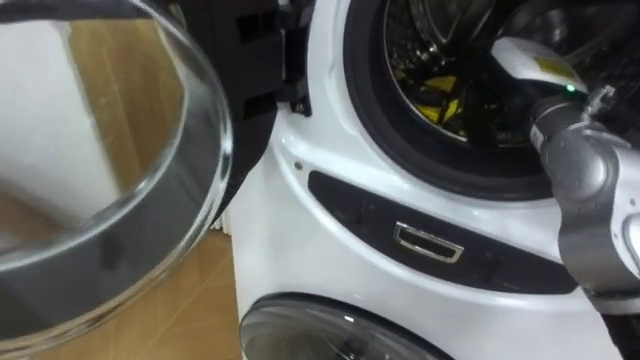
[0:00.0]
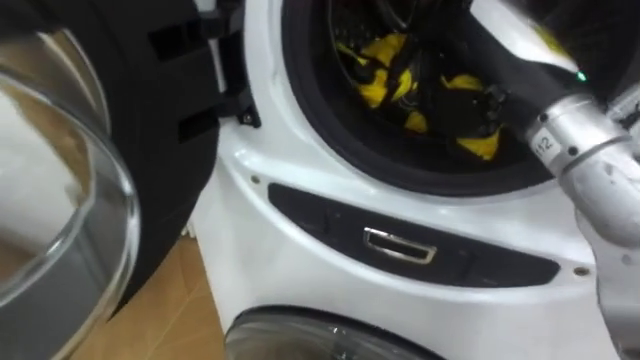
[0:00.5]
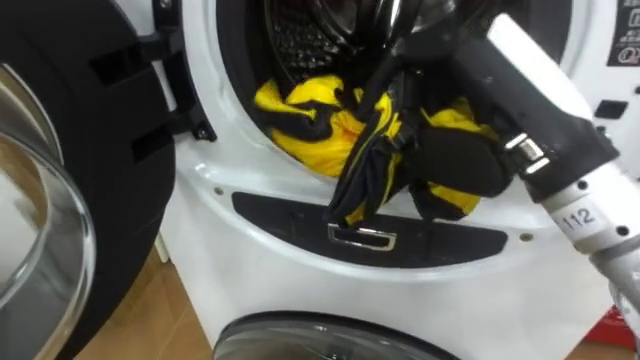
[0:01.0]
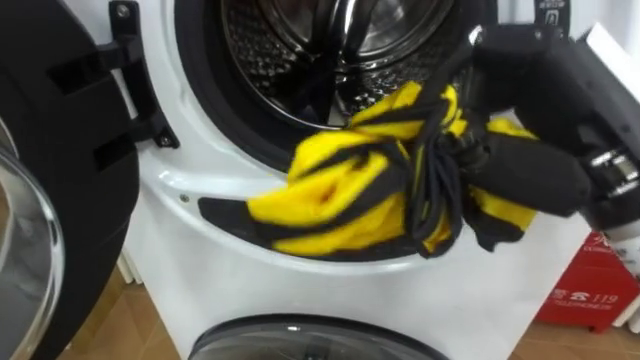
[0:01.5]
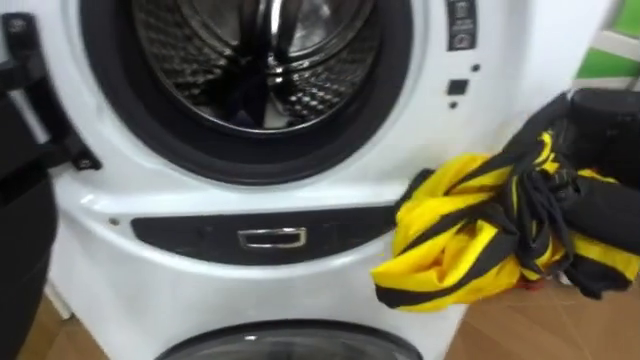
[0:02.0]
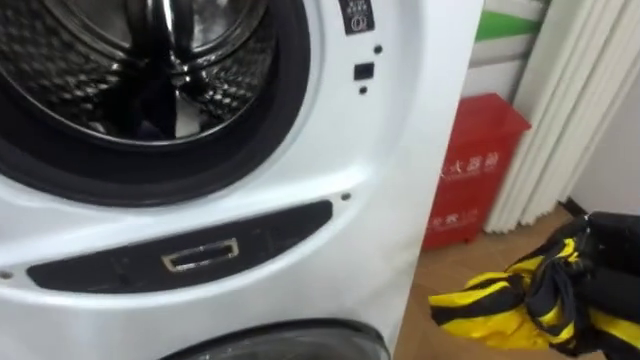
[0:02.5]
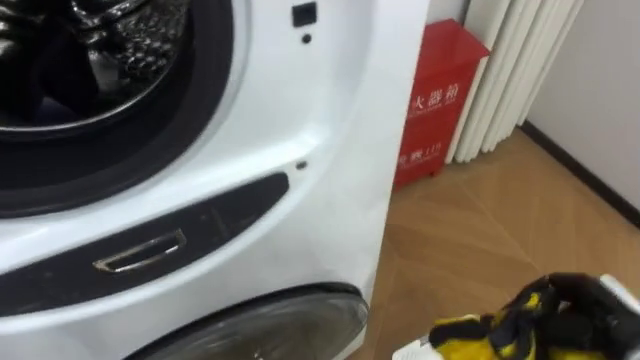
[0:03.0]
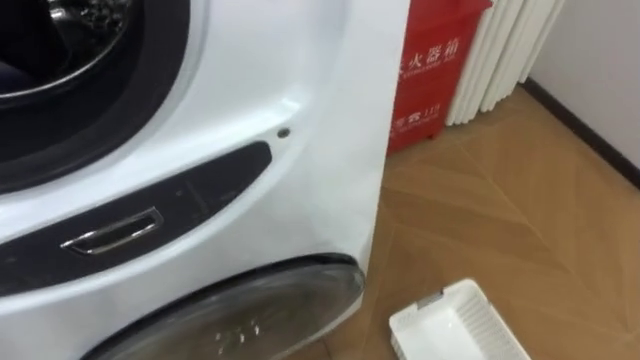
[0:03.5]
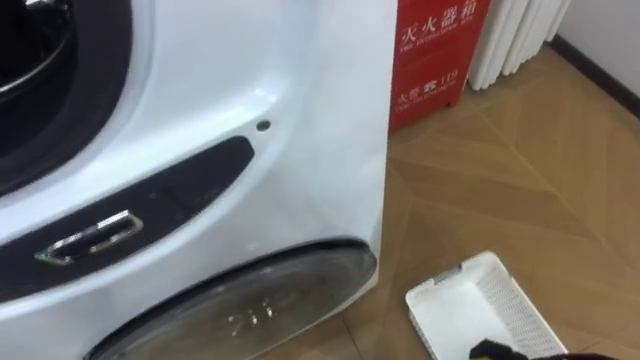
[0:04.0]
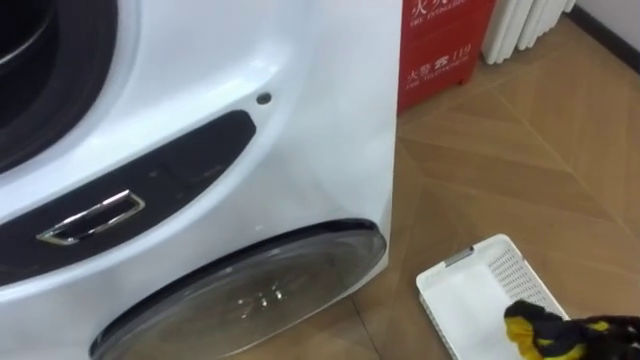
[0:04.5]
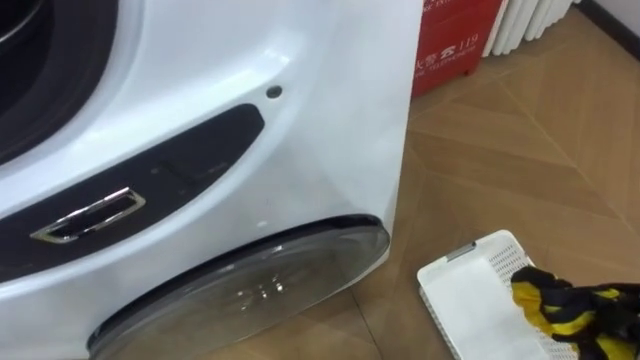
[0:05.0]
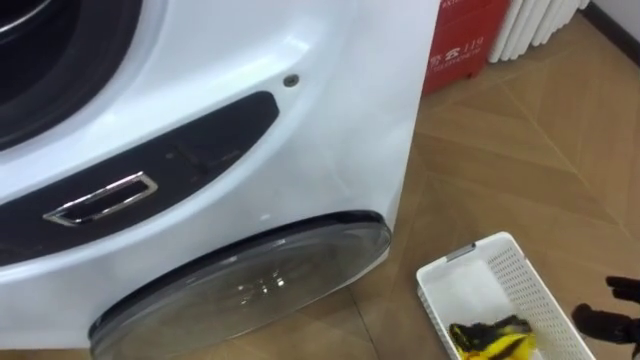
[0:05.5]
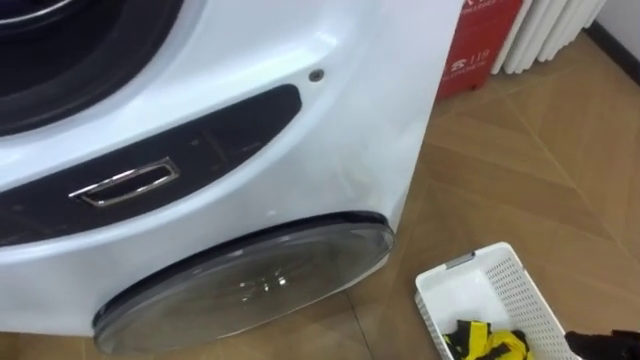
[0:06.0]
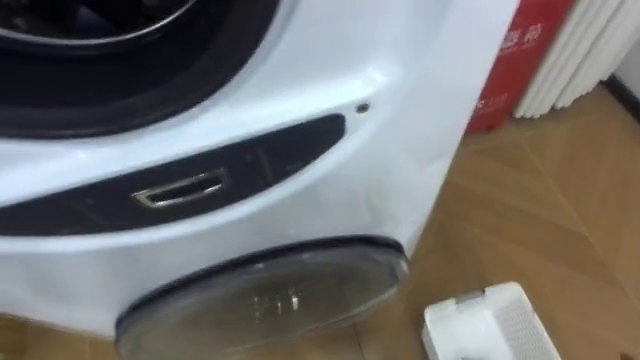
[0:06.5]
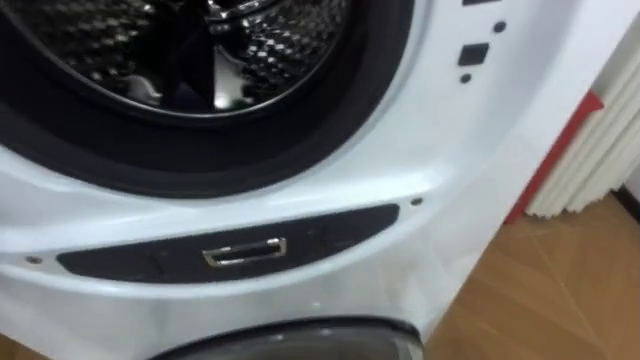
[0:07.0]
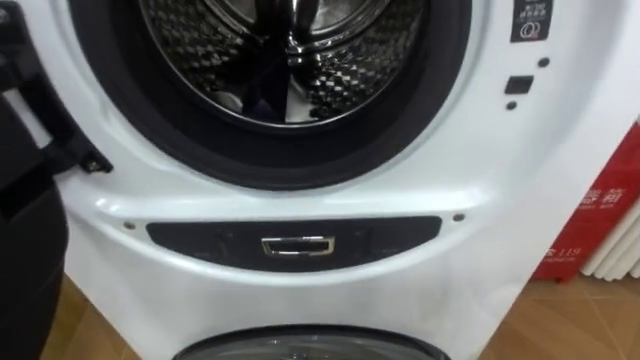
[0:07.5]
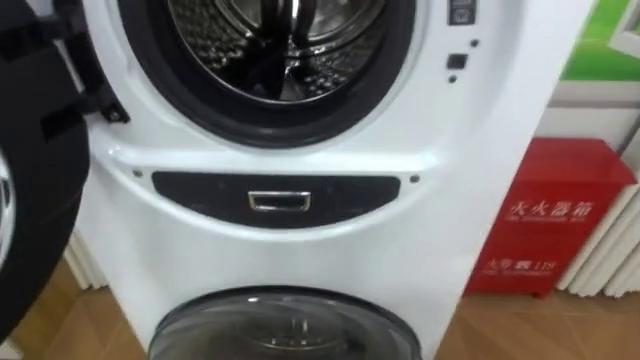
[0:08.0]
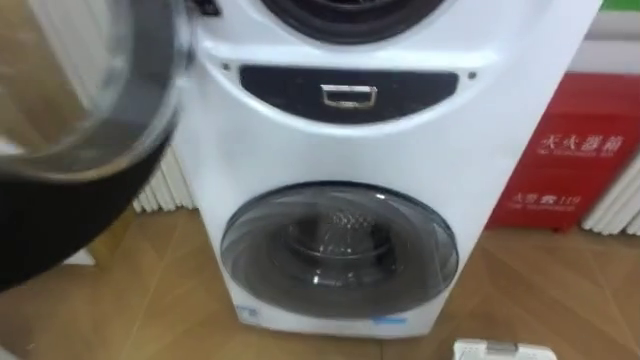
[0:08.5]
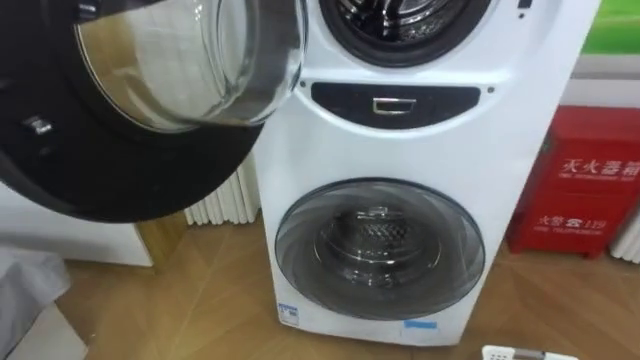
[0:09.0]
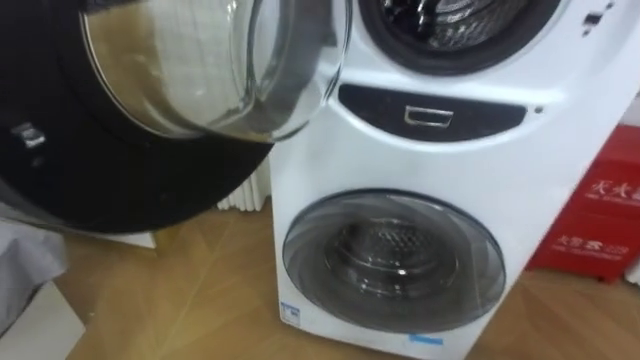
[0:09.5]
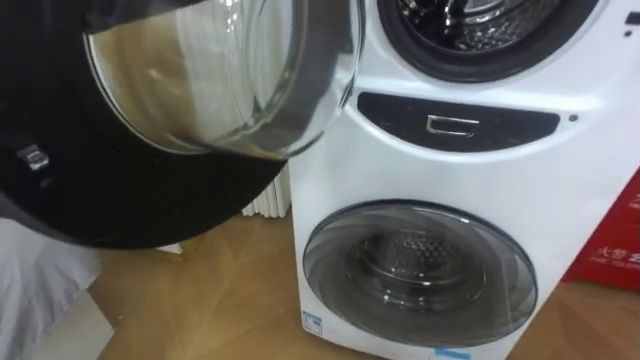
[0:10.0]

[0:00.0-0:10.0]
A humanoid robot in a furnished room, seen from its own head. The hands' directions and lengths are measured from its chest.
Task of the whole recording: Open the washing machine door, take out the yellow clothes, place them in the box on the right, and close the washing machine door.
0:02.0 to 0:04.0: The robot rotates some 20 degrees to its right.

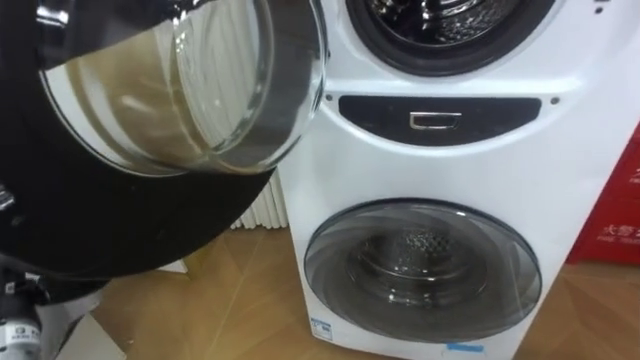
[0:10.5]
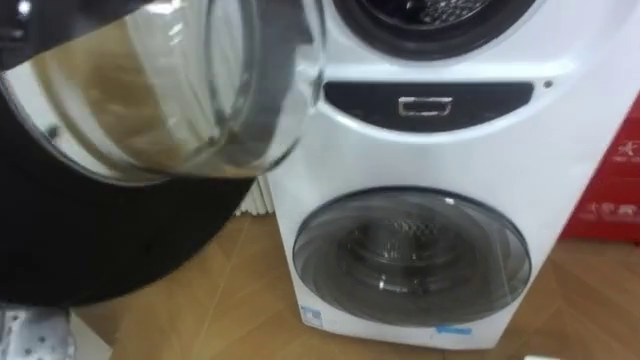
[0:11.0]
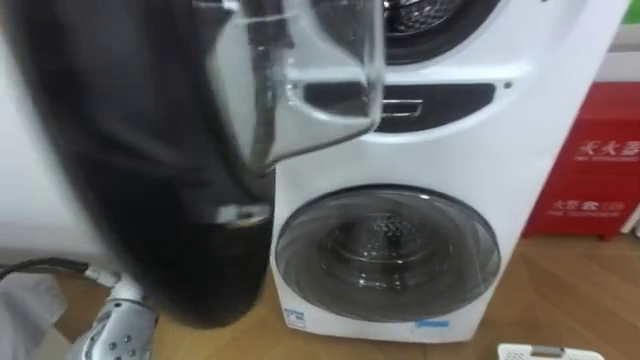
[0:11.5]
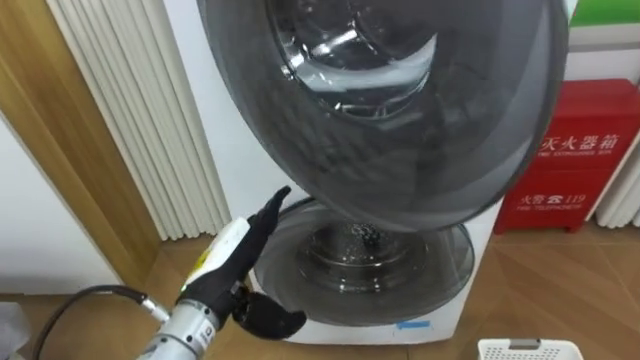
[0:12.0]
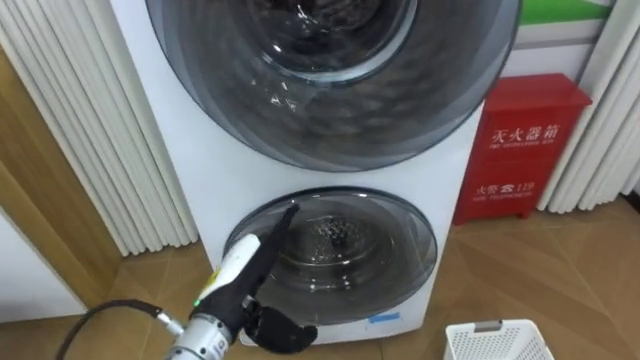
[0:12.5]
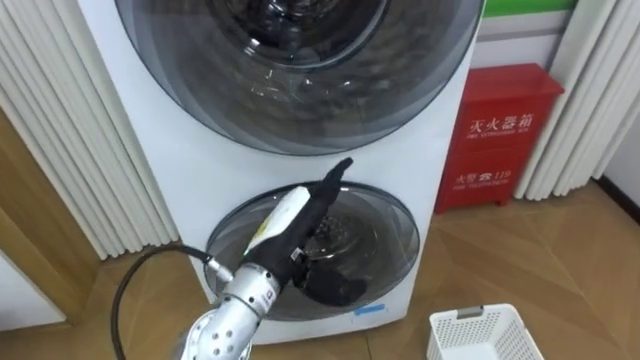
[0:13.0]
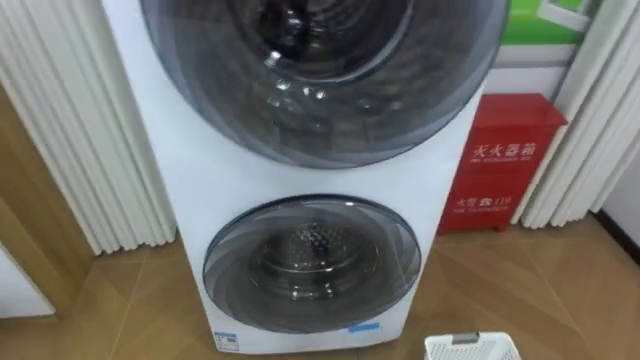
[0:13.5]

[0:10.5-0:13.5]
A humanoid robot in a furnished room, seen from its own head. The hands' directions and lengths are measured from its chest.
Task of the whole recording: Open the washing machine door, take out the yellow clothes, place them in the box on the right, and close the washing machine door.
0:10.5 to 0:12.0: The left hand travels to the right by some 25 cm.

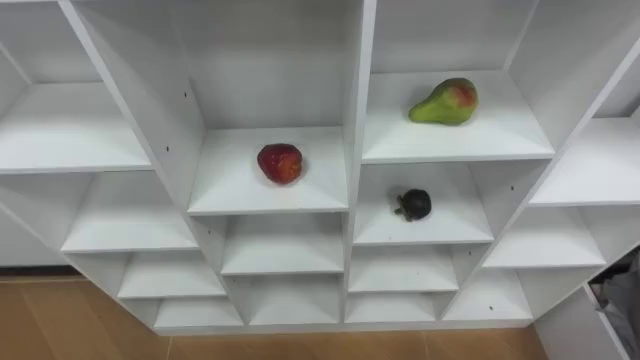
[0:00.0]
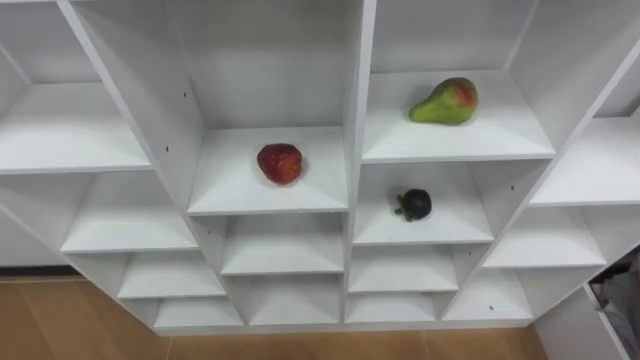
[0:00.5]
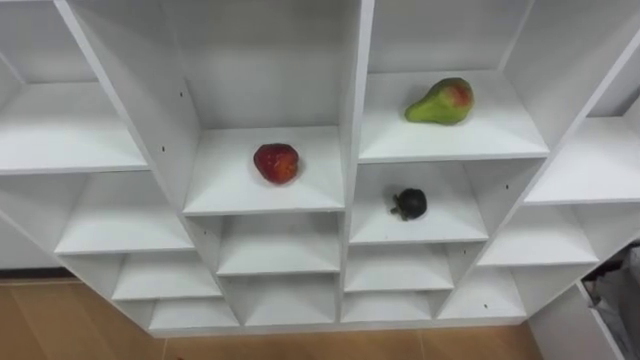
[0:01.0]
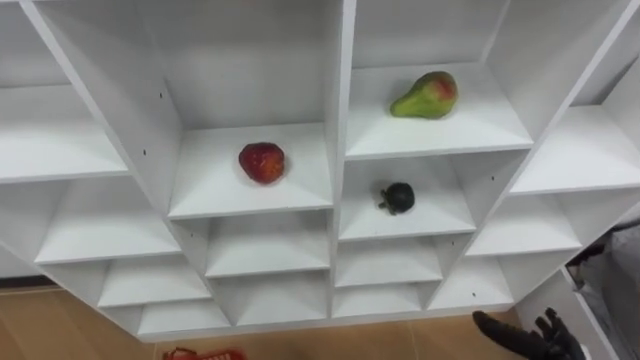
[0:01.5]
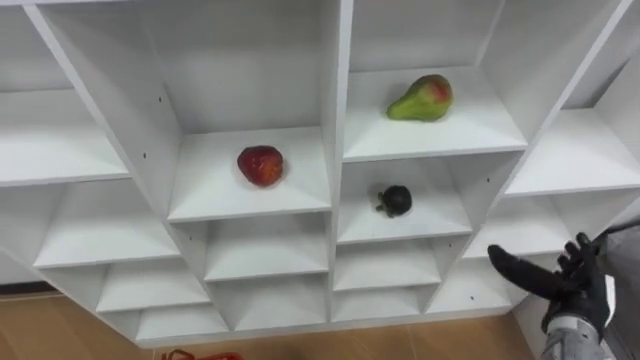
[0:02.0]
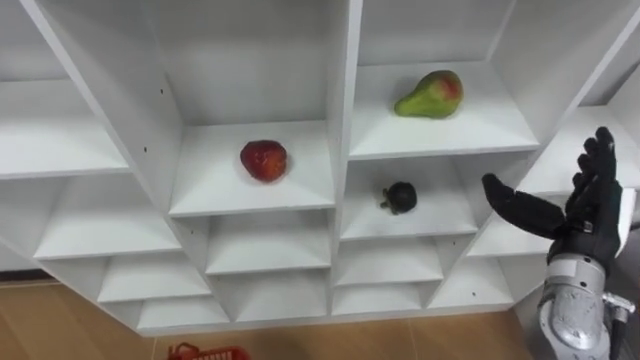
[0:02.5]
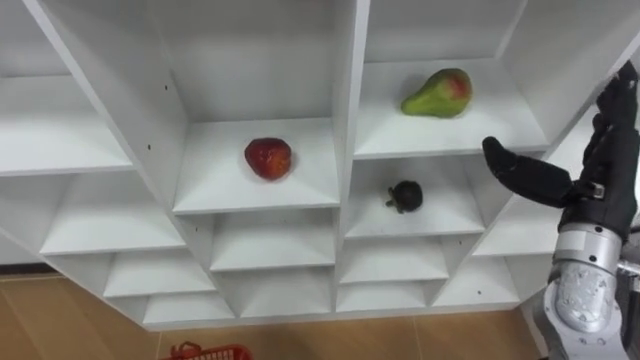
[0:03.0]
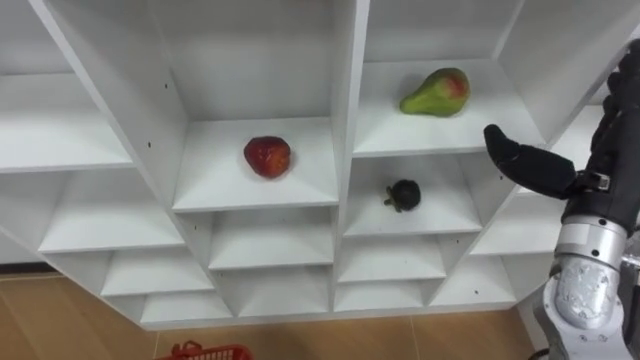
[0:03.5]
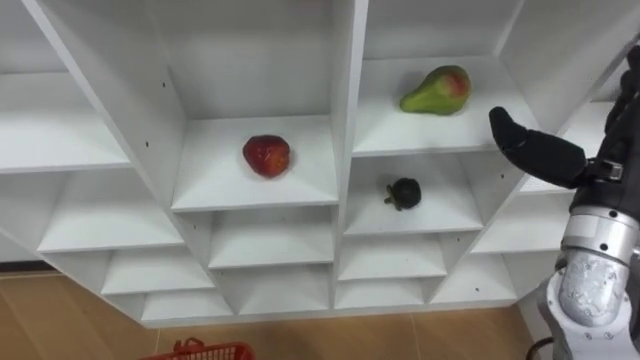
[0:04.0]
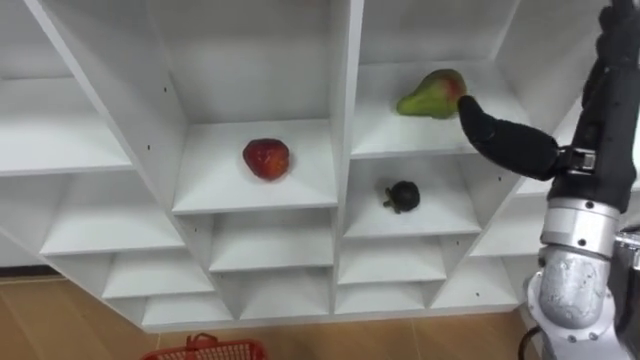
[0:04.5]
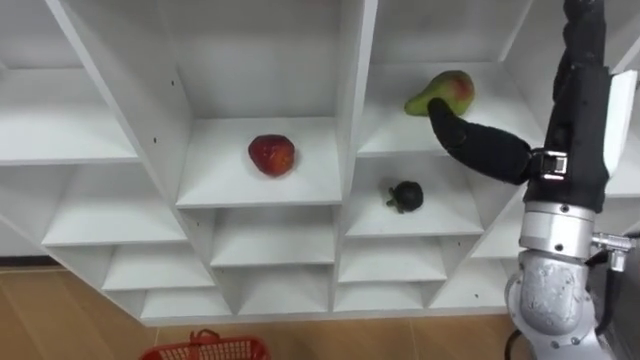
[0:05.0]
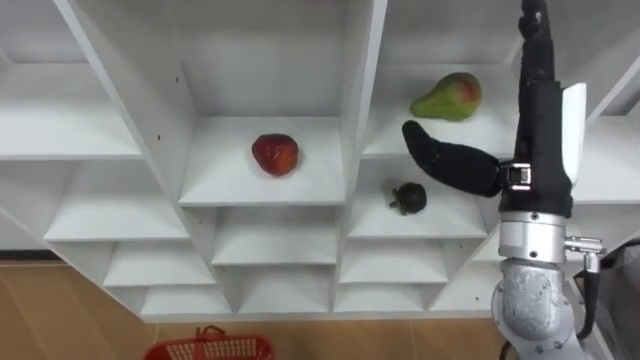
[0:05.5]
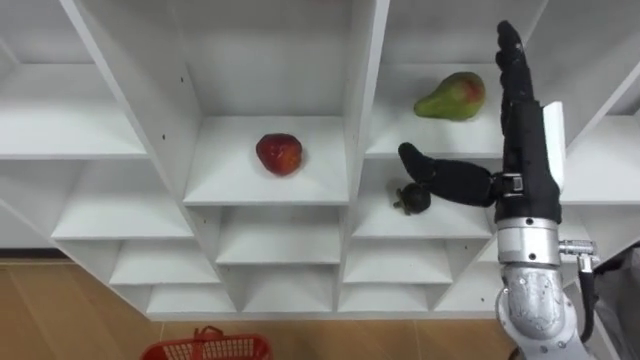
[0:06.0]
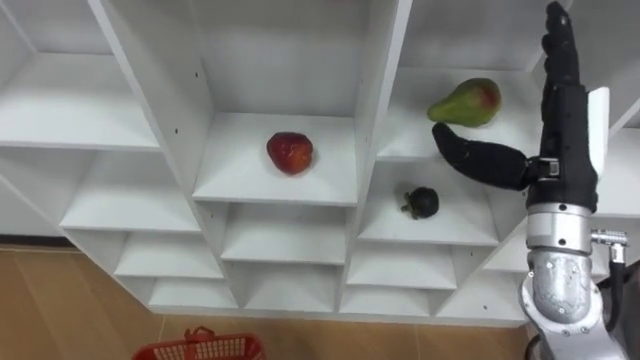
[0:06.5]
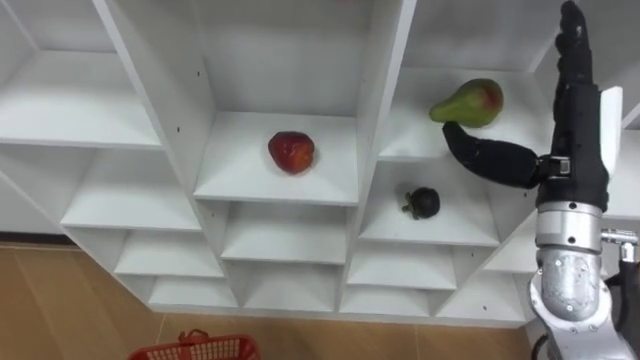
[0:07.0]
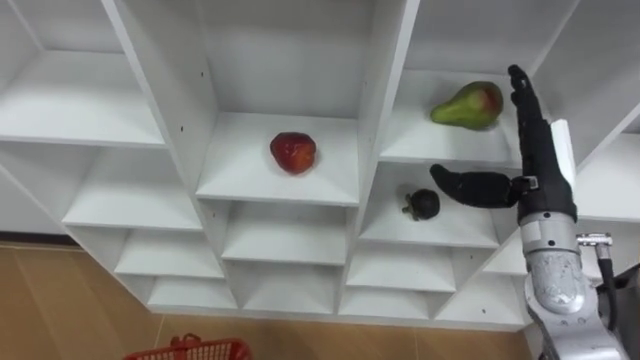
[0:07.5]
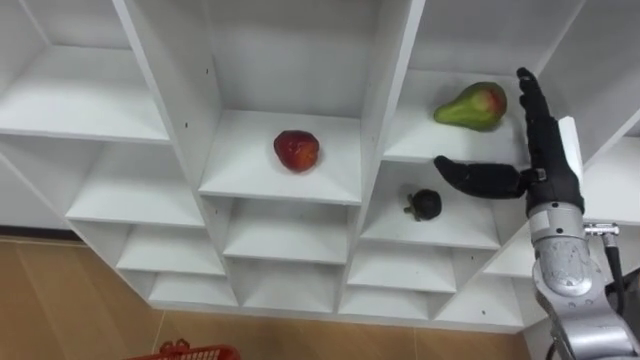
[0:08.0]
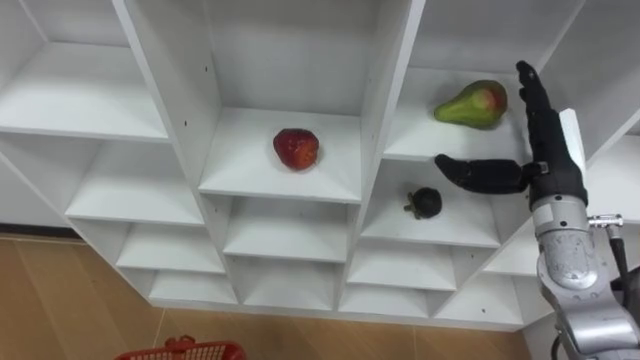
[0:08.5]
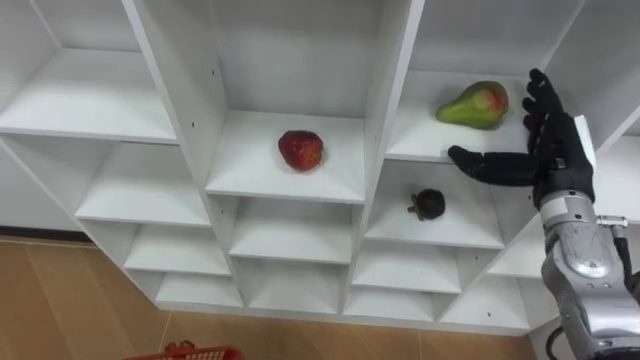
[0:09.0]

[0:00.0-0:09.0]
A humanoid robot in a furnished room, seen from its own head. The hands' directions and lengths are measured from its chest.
Task of the whole recording: Hold the basket and collect the fruits from 3 different cells of the closet into it.
0:02.0 to 0:04.5: The right hand is displaced upward by approximately 25 cm.
0:07.0 to 0:09.0: The right hand shifts about 10 cm downward.
